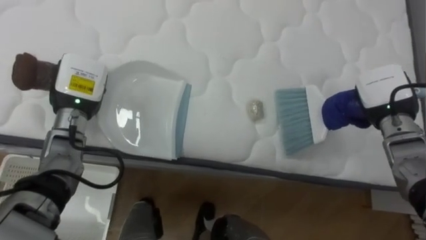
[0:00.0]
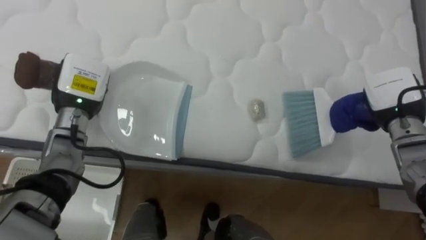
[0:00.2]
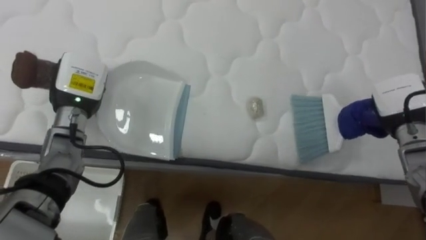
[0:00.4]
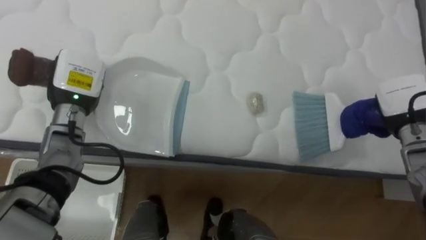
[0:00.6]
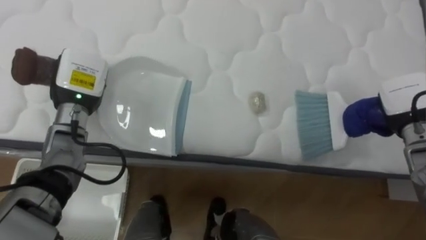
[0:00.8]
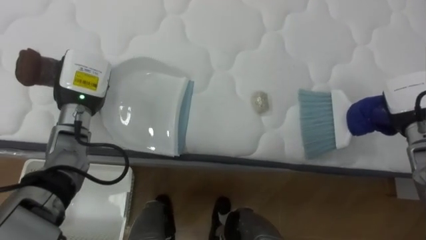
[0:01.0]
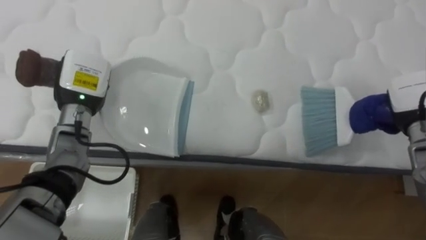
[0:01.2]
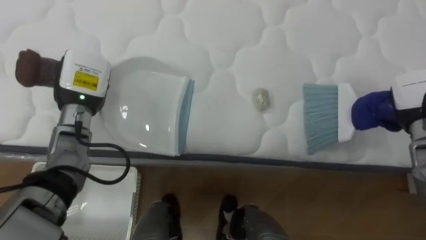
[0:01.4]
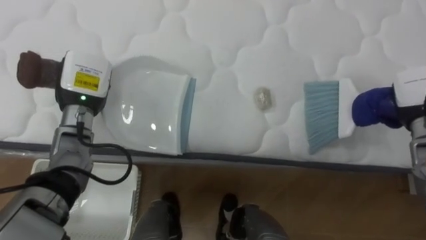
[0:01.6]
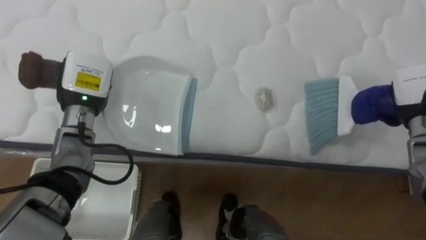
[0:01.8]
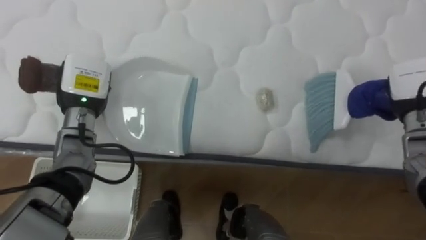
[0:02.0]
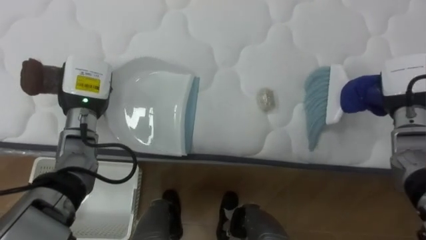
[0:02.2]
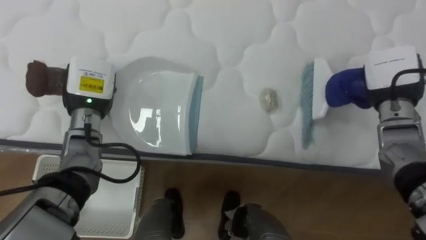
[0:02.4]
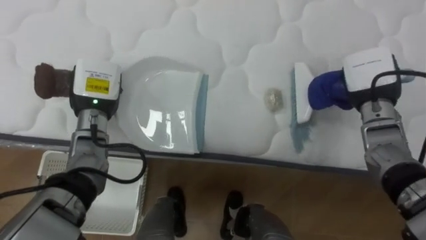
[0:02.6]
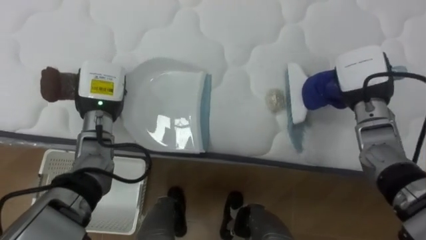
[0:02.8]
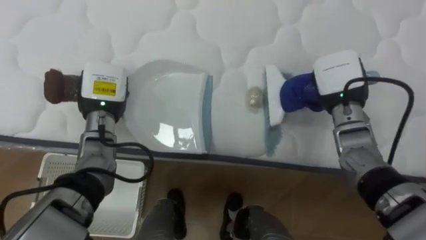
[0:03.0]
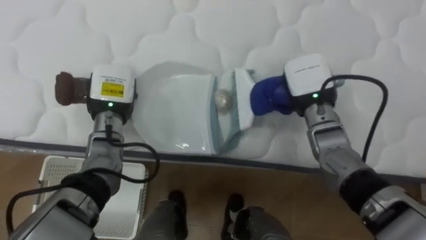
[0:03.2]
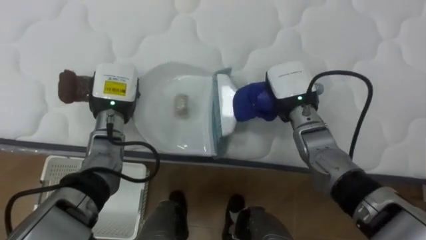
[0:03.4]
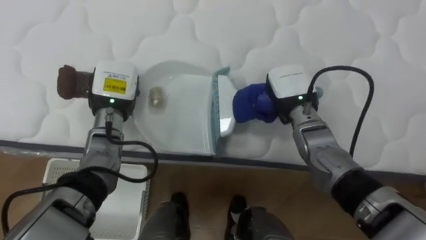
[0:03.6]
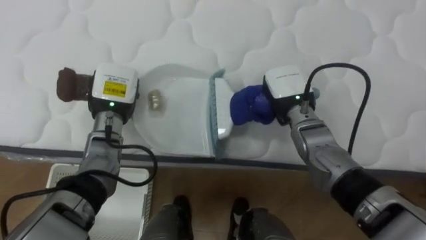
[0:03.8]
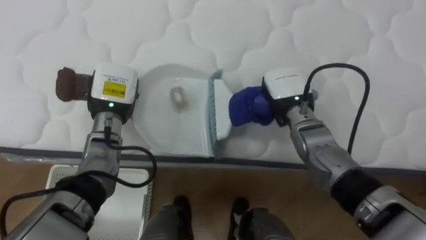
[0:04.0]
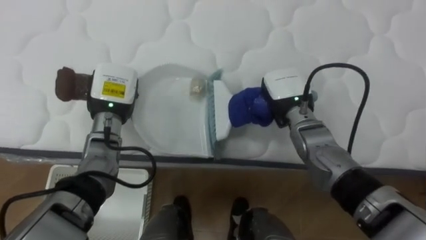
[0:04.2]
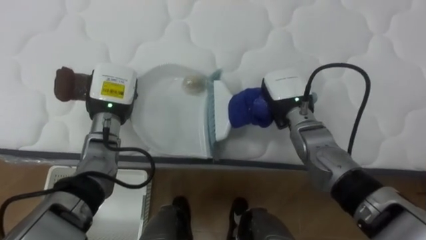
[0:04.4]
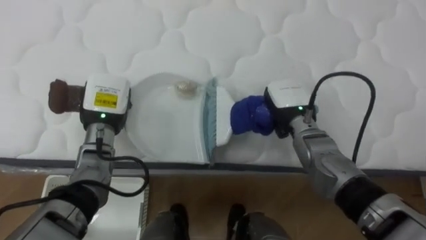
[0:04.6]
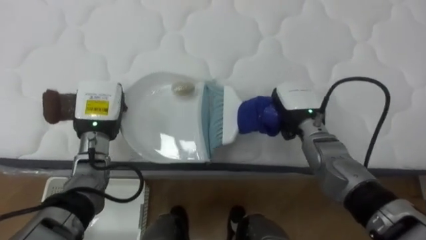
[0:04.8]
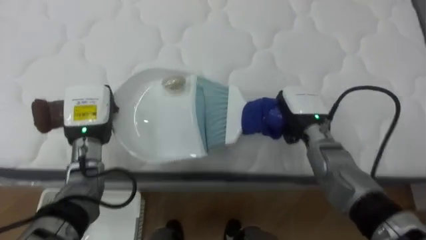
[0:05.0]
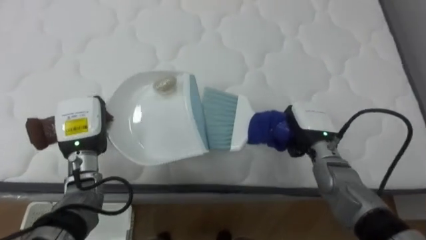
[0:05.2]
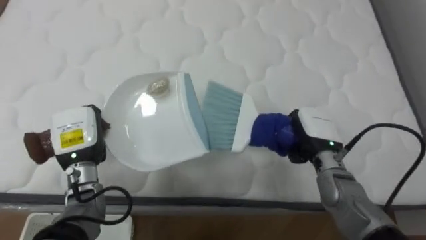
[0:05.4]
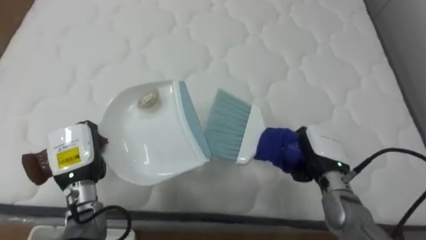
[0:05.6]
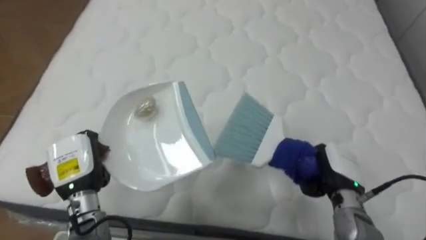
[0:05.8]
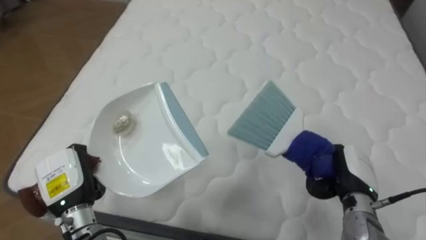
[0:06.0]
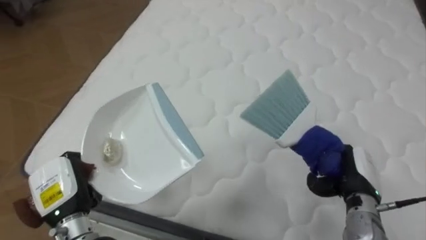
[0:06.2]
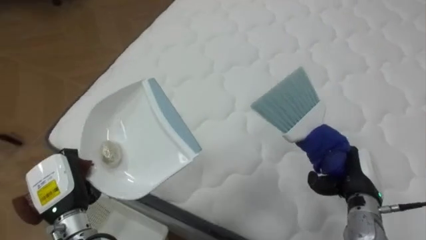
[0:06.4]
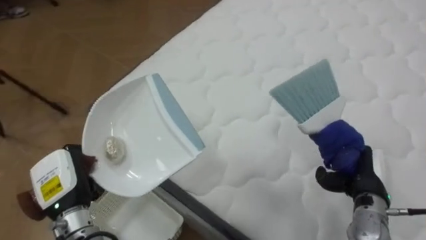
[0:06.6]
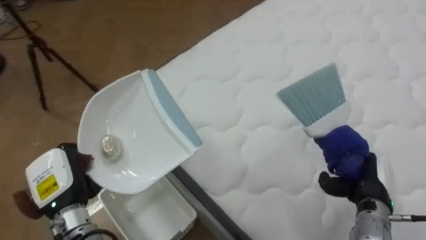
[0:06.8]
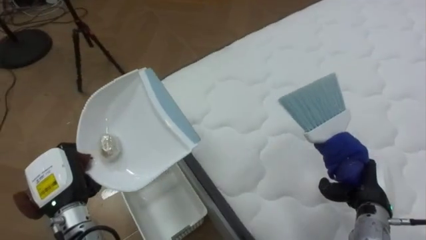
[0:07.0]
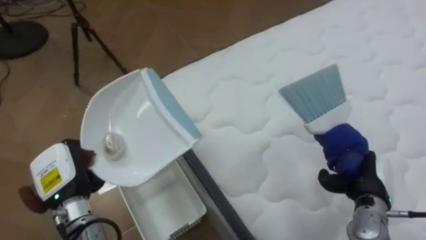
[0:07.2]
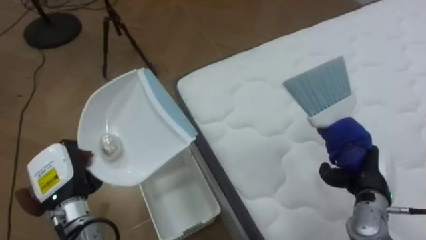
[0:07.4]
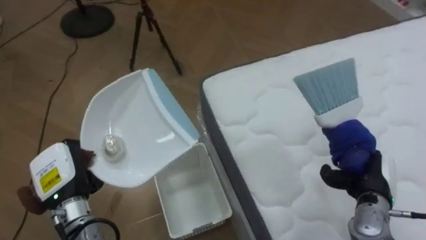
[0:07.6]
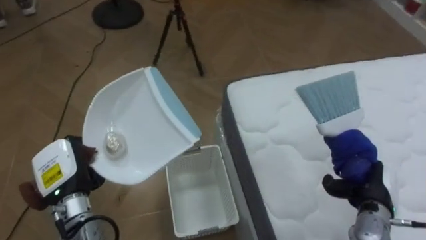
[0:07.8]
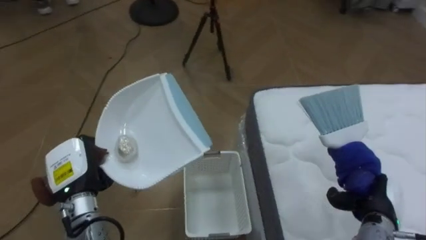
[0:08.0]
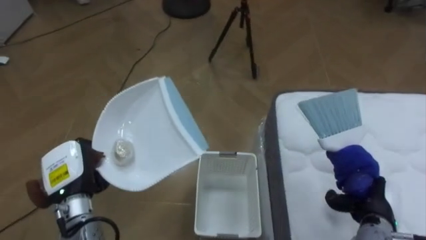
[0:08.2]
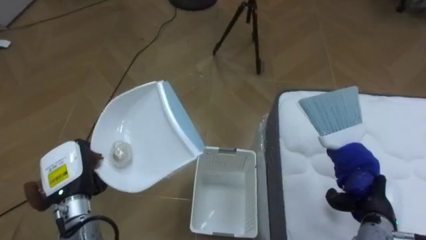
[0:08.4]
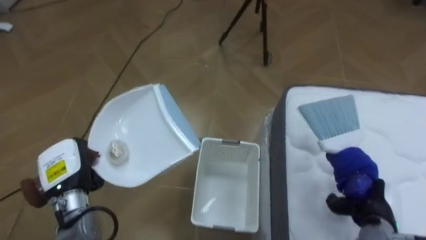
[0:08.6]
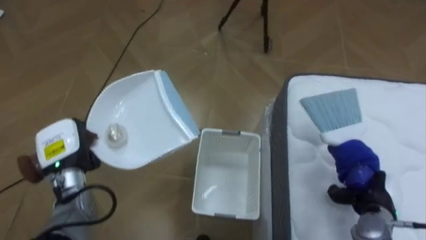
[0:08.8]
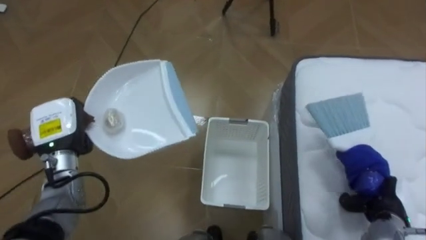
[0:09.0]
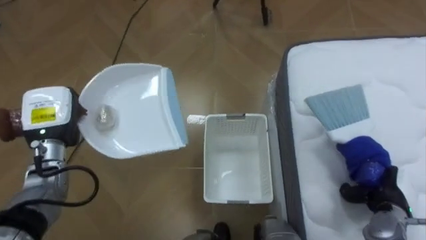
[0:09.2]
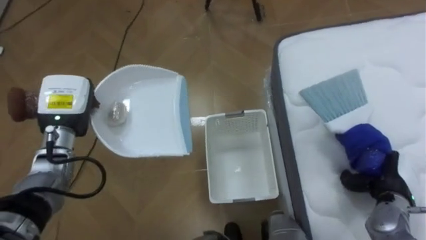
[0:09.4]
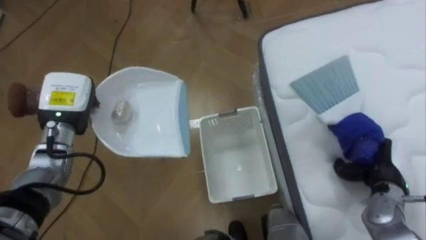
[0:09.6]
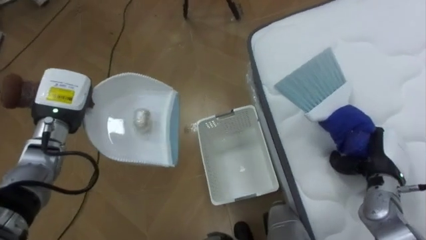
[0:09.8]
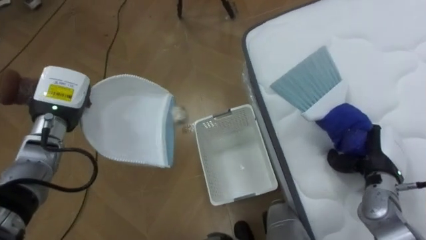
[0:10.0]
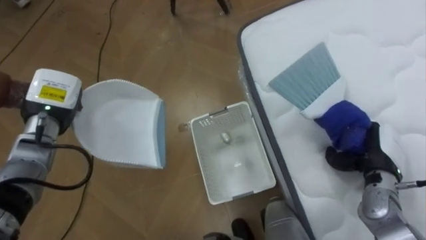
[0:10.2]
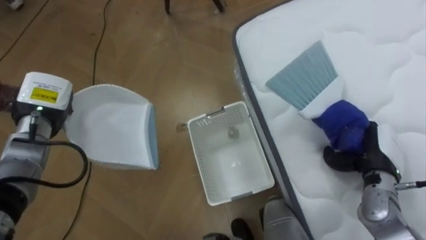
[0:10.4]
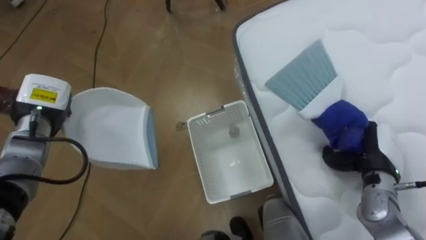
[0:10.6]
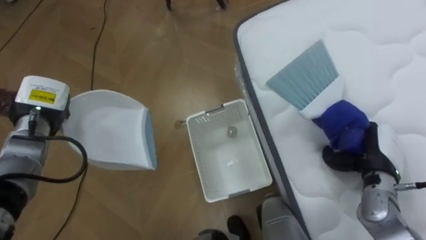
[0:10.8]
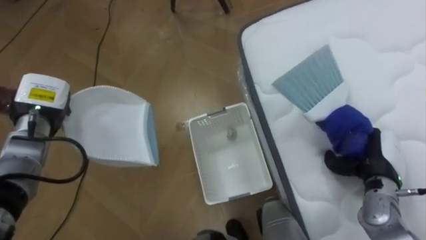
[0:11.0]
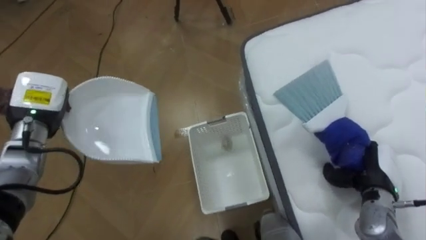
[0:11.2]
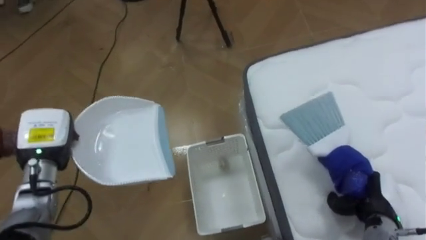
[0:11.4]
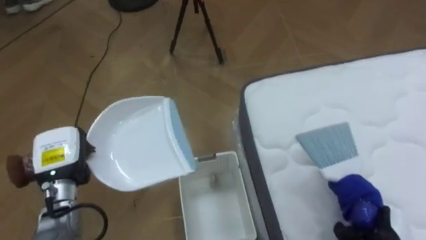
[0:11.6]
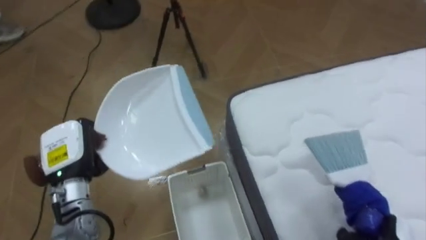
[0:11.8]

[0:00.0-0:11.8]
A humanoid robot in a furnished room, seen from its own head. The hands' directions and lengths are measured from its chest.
Task of the whole recording: Pick up the brush on your right and the dustpan on your left. Use the brush to sweep the crumpled paper on the bed into the dustpan, then turn left and empty it into the basket.
0:00.0 to 0:01.4: The right hand shifts roughly 5 cm to the right.
0:01.4 to 0:03.0: The right hand shifts roughly 15 cm to the left.
0:03.0 to 0:04.4: The right hand travels to the left by roughly 10 cm.
0:04.4 to 0:06.0: The right hand travels backward, to the right and downward by roughly 20 cm. Meanwhile the left hand moves backward, downward and to the left, some 20 cm.
0:06.0 to 0:07.4: The robot faces roughly 50 degrees further to its left.
0:07.4 to 0:08.8: The robot's body swings some 40 degrees to its left. The right hand changes place by approximately 5 cm.
0:08.8 to 0:10.4: The left hand goes roughly 10 cm forward and upward; the right hand moves upward and forward, some 10 cm.
0:10.4 to 0:11.8: The left hand shifts roughly 10 cm backward and to the right.

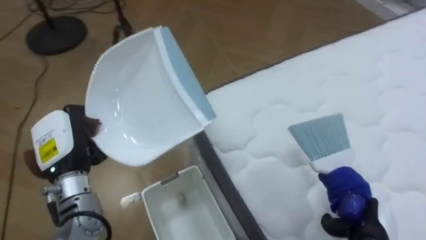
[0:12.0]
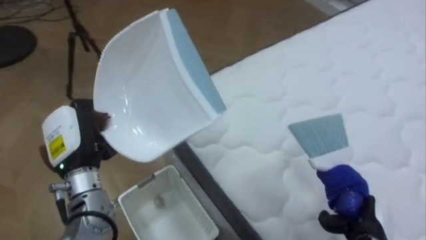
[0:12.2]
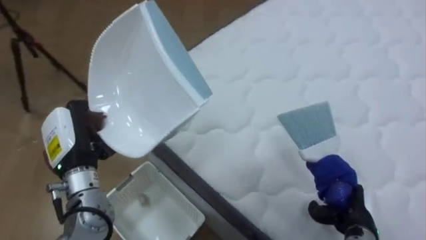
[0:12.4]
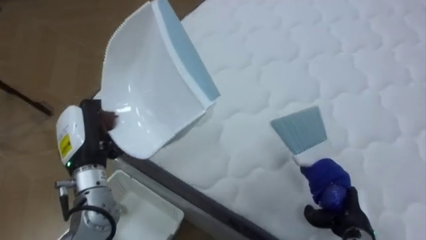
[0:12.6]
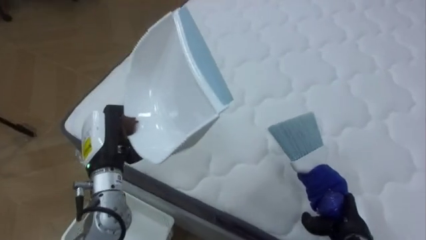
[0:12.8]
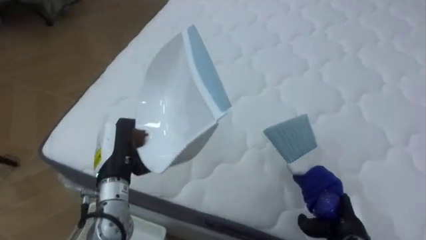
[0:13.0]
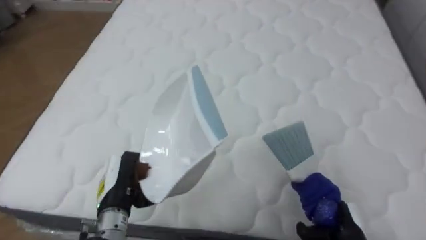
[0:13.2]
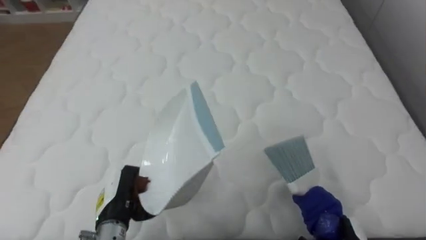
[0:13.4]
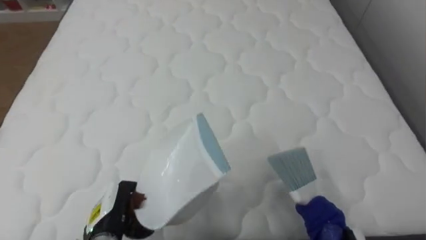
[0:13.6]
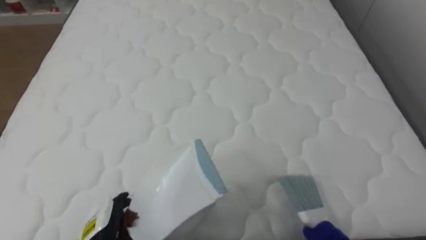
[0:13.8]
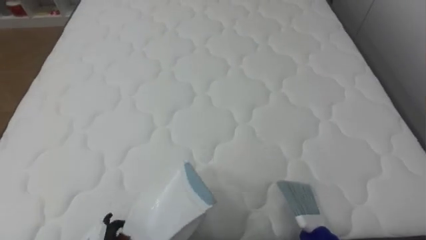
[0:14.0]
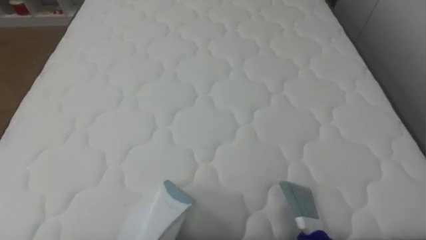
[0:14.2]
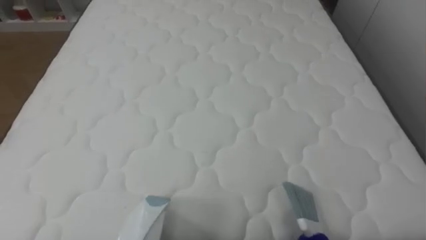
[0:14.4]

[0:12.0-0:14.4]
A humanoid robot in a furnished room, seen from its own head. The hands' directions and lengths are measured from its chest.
Task of the whole recording: Pick up the brush on your right and the dustpan on your left. Use the brush to sweep the crumpled paper on the bed into the dustpan, then turn left and empty it into the basket.
0:12.0 to 0:13.2: The robot faces about 50 degrees further to its right. The left hand is displaced downward and to the right by roughly 10 cm.

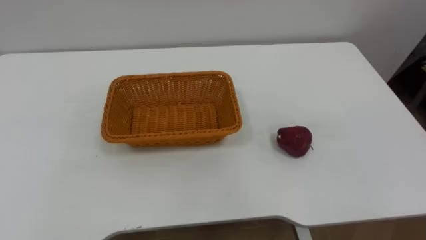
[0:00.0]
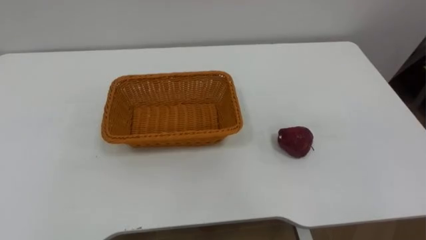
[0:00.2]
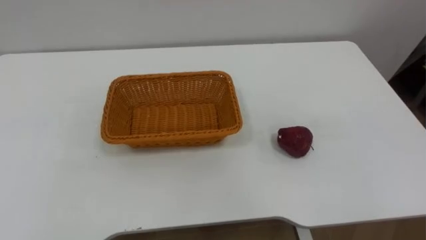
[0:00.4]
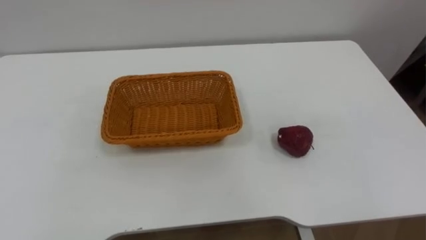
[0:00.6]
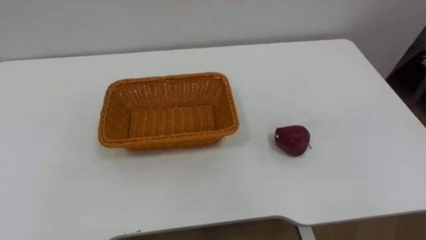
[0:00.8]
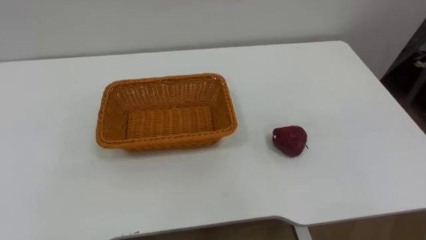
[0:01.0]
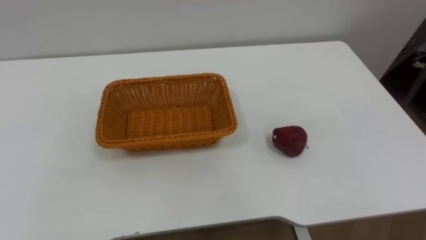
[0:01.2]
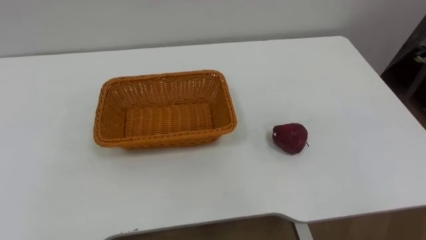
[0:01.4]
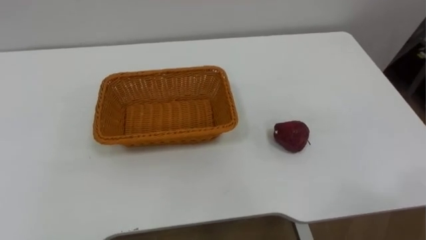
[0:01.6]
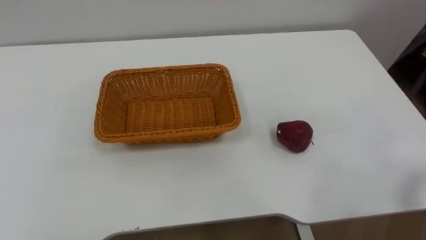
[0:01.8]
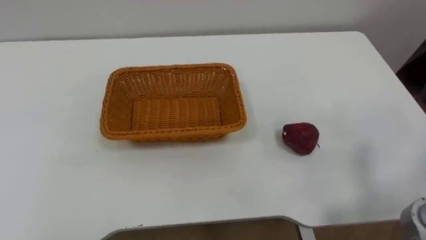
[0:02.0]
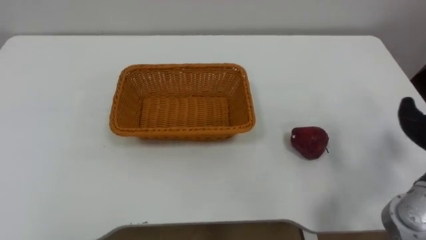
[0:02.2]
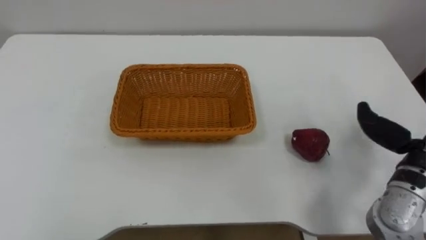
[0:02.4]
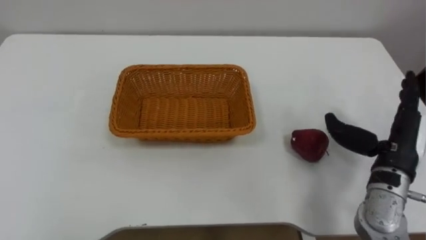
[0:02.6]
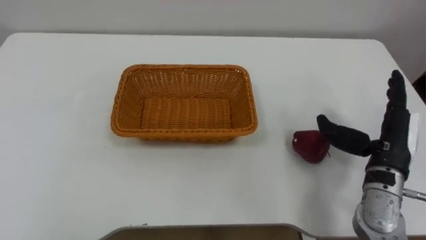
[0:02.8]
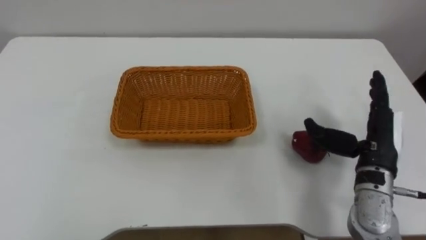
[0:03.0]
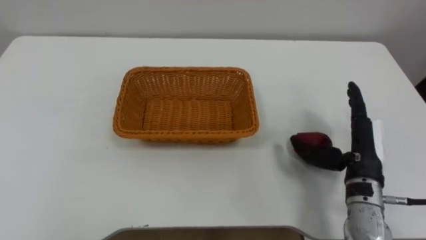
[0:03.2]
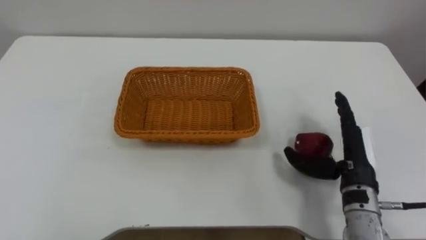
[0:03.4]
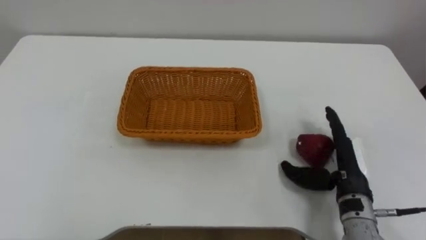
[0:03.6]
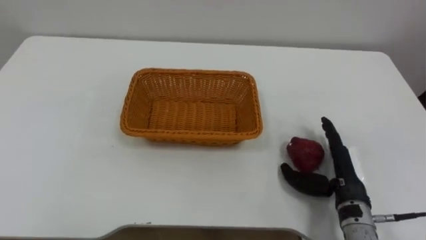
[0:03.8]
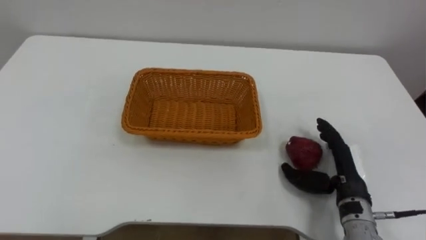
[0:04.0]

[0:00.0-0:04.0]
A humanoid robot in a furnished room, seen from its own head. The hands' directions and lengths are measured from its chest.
Task of the whole recording: Pick the apple and place it in the box.
0:02.6 to 0:04.0: The right hand travels downward and to the left by about 10 cm.
